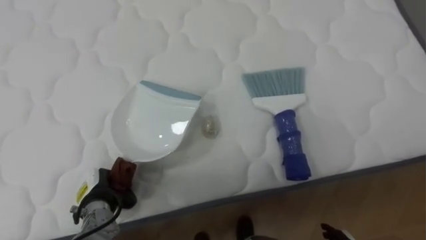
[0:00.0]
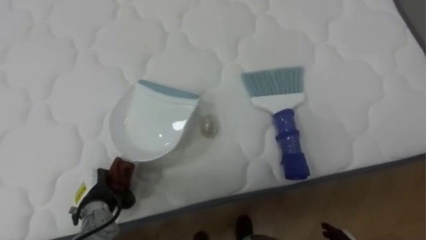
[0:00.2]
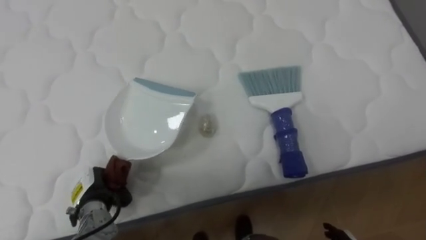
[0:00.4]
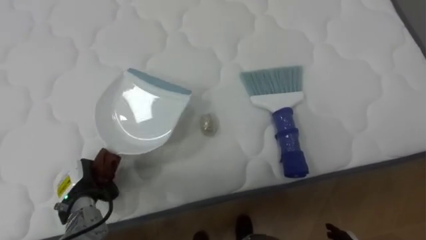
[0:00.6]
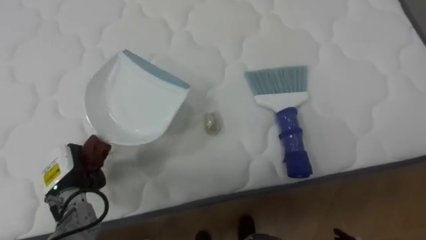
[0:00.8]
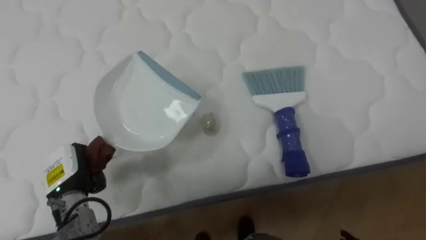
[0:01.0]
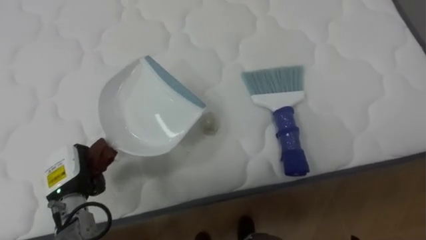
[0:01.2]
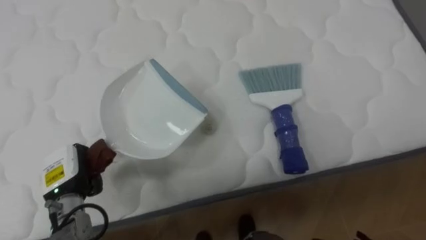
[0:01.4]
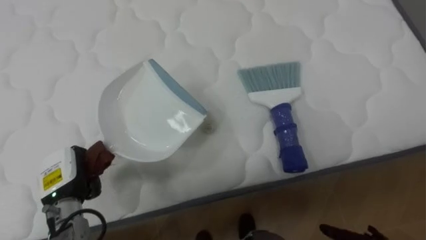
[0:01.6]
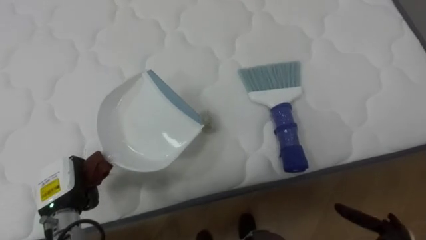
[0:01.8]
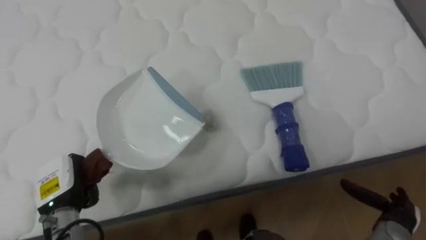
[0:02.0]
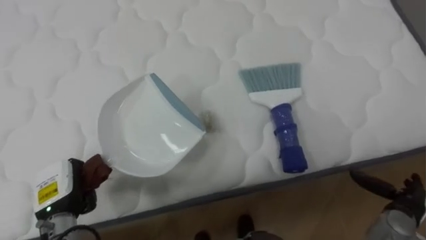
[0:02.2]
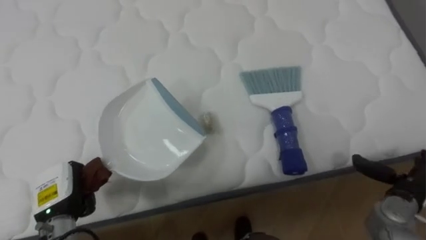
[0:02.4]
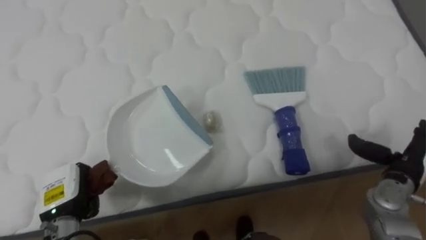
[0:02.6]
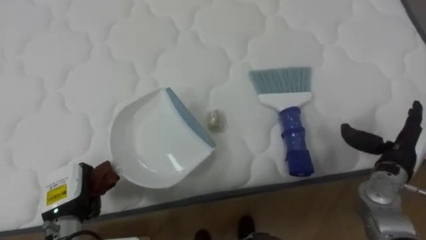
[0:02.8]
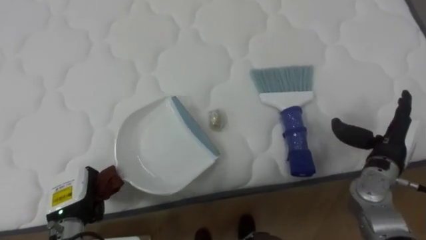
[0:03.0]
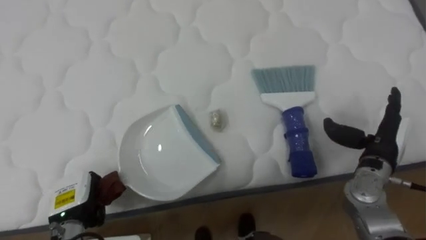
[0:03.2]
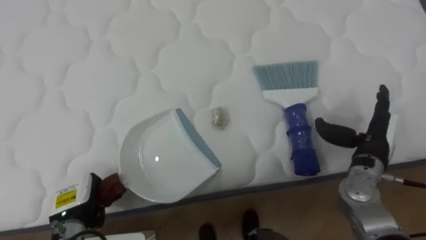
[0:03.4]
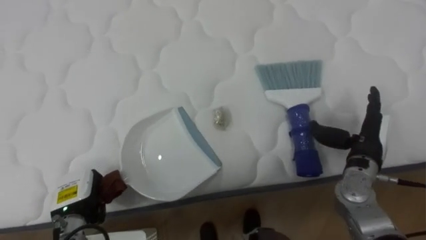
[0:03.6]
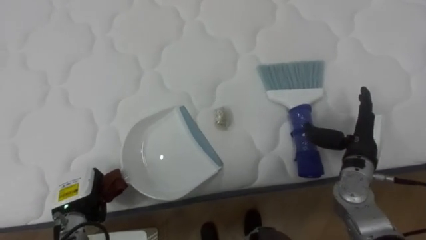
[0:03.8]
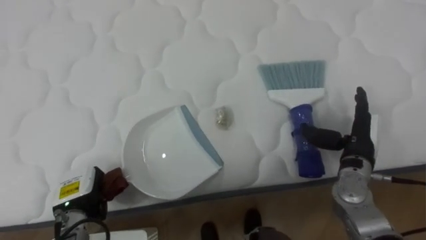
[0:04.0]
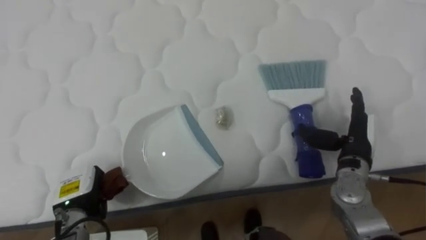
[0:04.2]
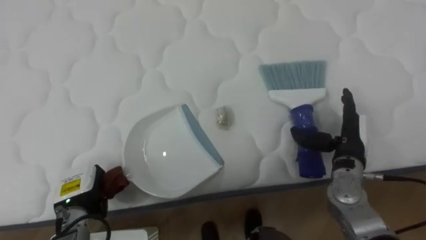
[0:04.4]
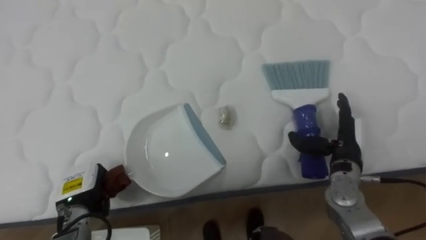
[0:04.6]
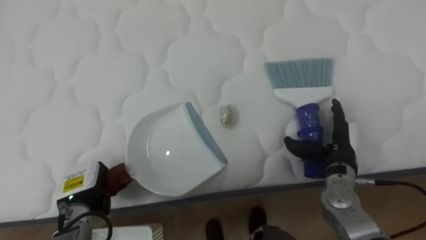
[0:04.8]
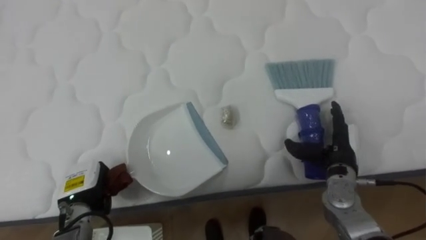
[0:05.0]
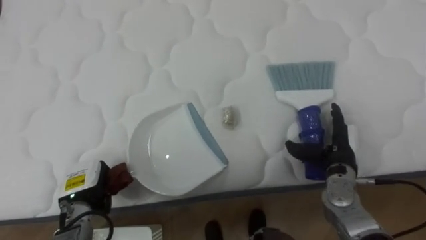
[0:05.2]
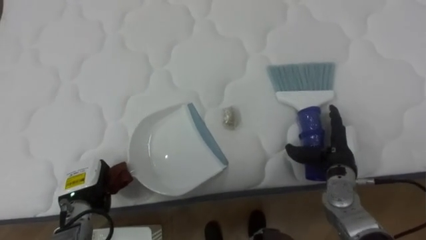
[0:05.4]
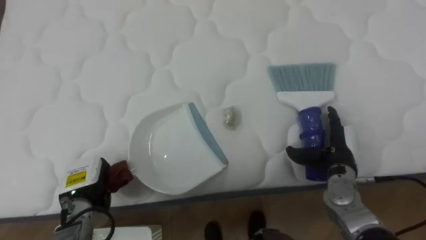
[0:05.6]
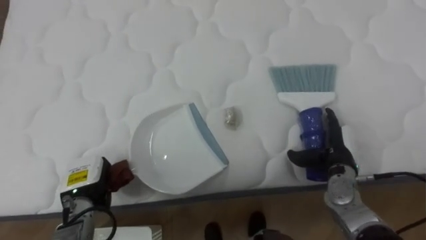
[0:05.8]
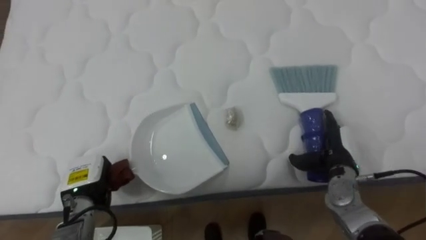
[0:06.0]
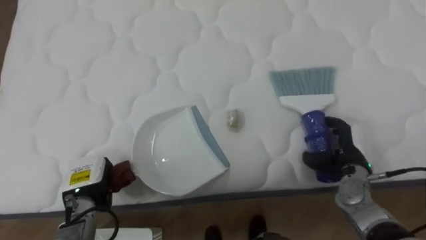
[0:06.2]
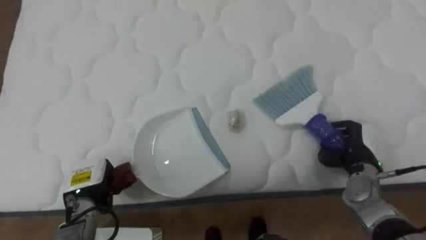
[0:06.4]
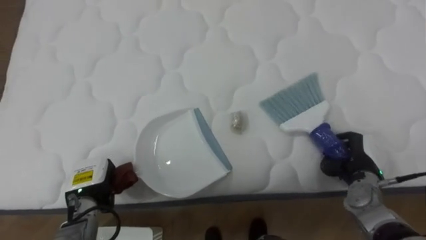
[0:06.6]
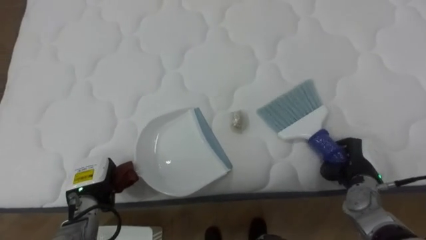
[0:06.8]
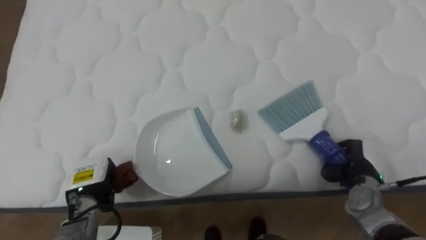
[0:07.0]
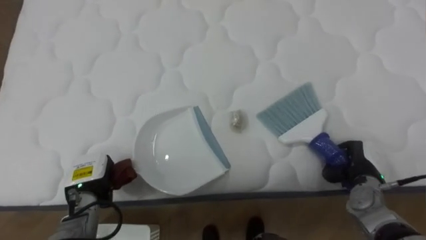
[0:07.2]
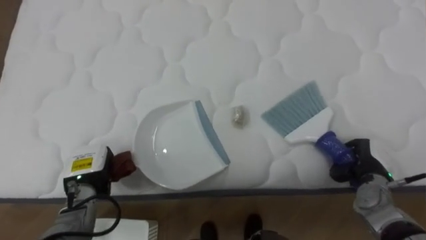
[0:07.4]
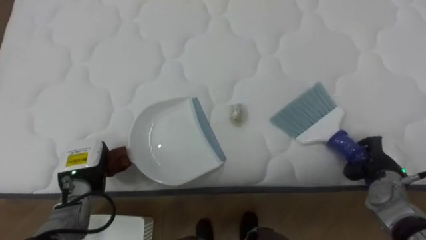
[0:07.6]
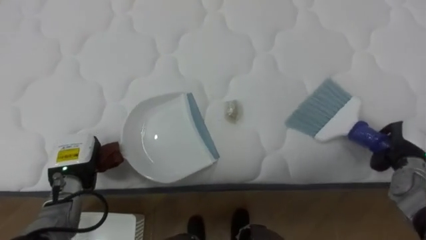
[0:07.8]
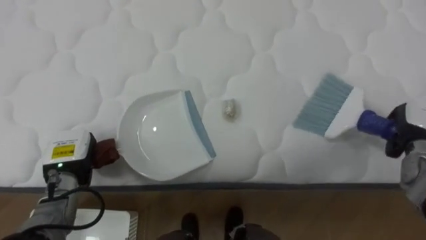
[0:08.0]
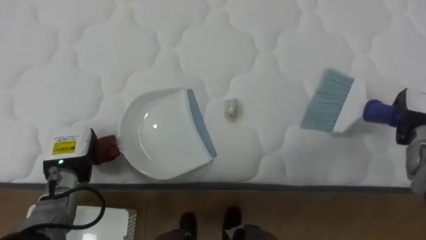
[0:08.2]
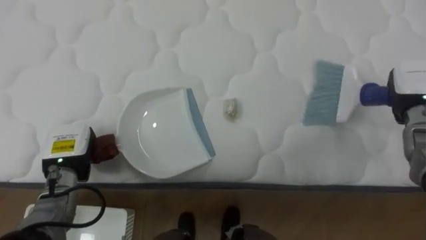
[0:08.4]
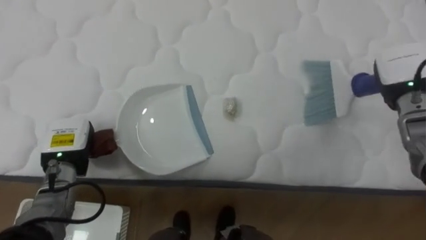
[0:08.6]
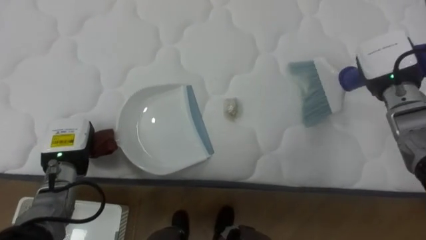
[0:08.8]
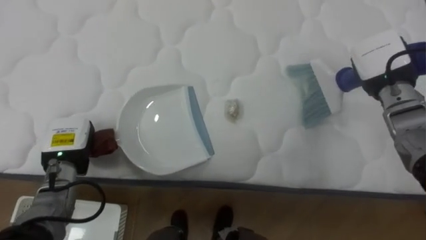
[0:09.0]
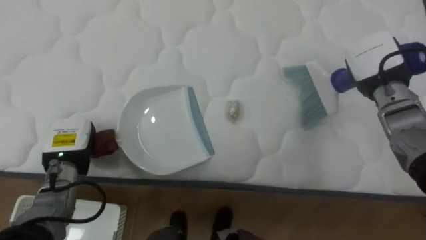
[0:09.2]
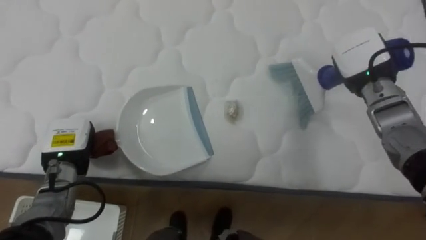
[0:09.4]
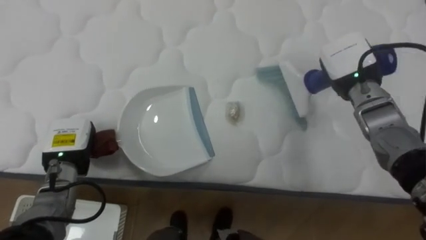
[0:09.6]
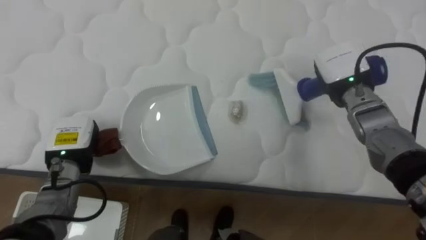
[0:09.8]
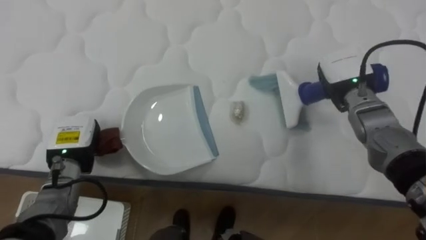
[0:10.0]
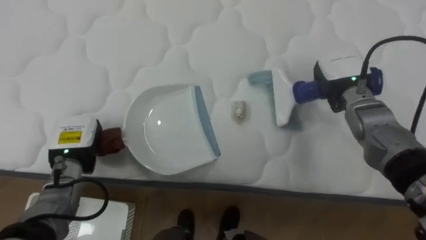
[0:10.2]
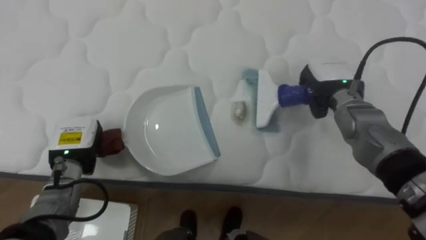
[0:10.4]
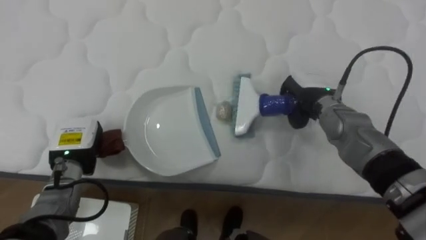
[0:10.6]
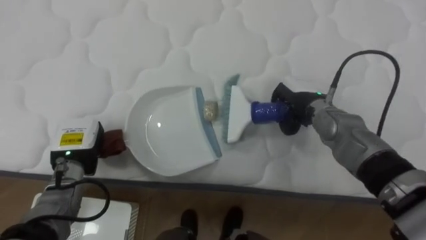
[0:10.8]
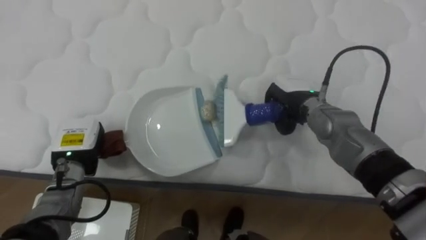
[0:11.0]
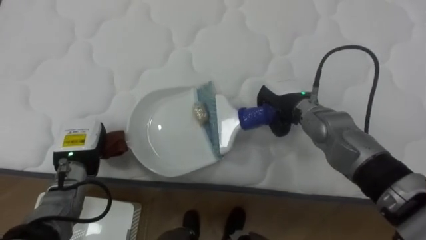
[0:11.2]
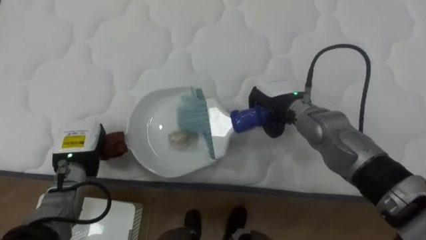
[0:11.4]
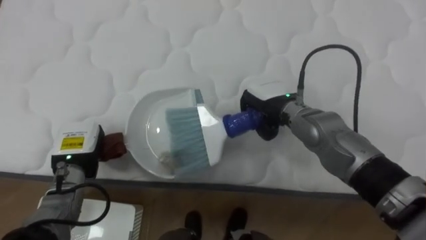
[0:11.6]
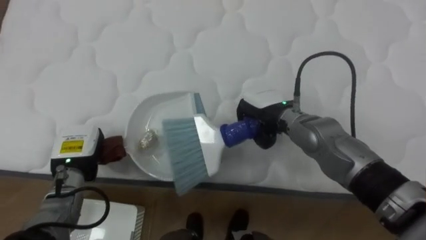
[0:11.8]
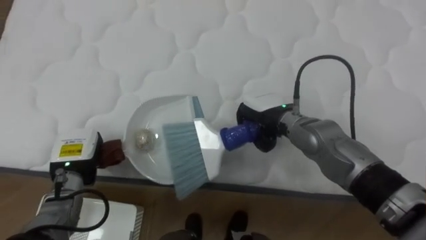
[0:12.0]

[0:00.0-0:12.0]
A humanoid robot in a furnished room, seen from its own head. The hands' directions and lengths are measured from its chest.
Task of the whole recording: Pick up the brush on your right and the dustpan on your left. Use the brush to sweep the crumpled paper on the bed into the dustpan, then turn left and empty it into the basket.
0:00.0 to 0:01.6: The left hand travels upward by about 5 cm.
0:03.0 to 0:04.4: The right hand travels to the left by some 5 cm.
0:04.4 to 0:06.0: The right hand goes about 5 cm downward.
0:06.0 to 0:07.6: The right hand is displaced to the right by about 10 cm, and closes.
0:07.6 to 0:09.0: The left hand moves approximately 5 cm. The right hand shifts about 20 cm upward and forward.
0:09.0 to 0:10.4: The right hand moves to the left, about 10 cm.
0:10.4 to 0:12.0: The right hand goes approximately 10 cm to the left.

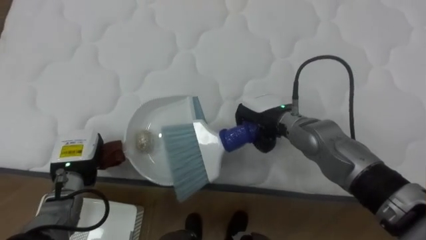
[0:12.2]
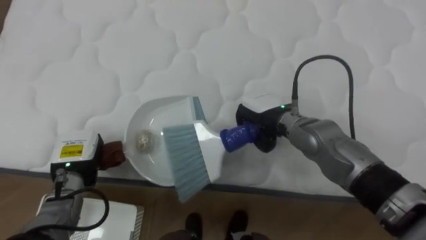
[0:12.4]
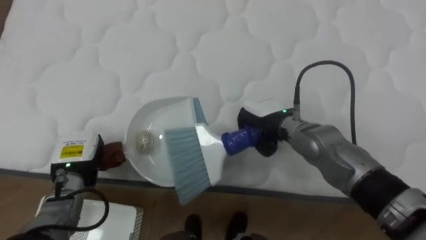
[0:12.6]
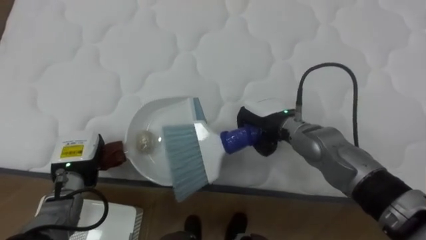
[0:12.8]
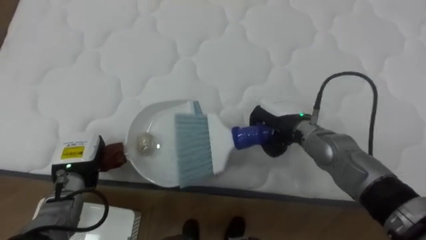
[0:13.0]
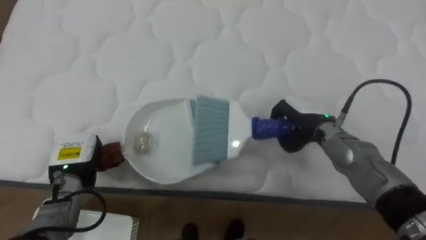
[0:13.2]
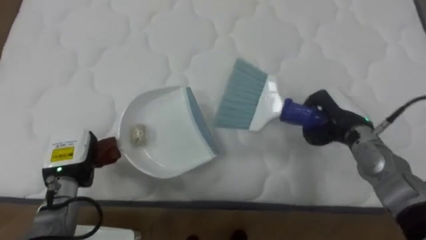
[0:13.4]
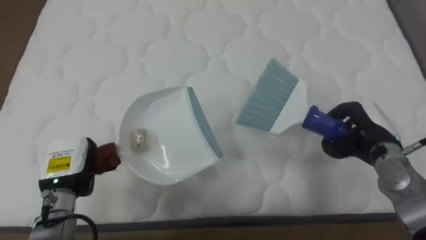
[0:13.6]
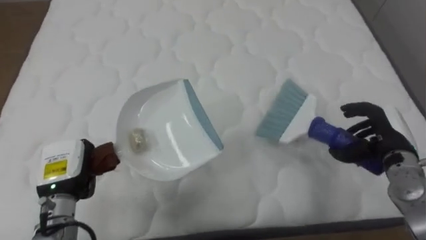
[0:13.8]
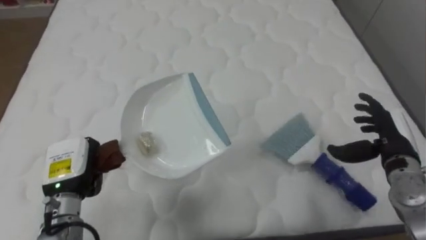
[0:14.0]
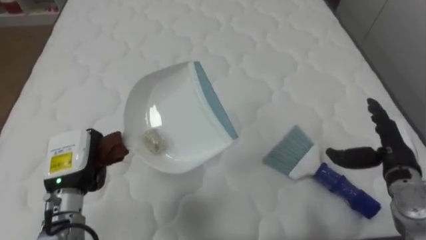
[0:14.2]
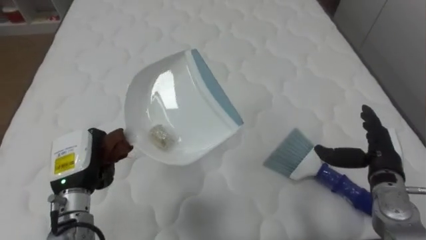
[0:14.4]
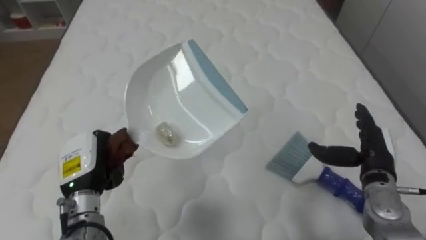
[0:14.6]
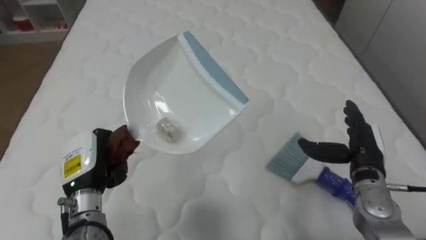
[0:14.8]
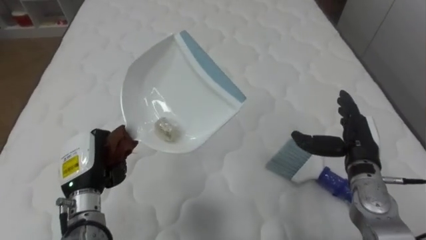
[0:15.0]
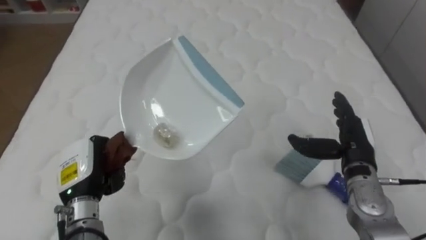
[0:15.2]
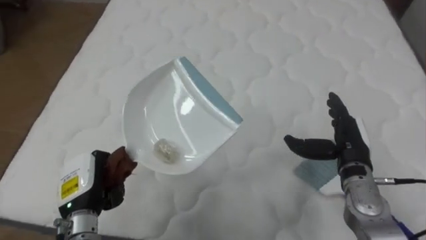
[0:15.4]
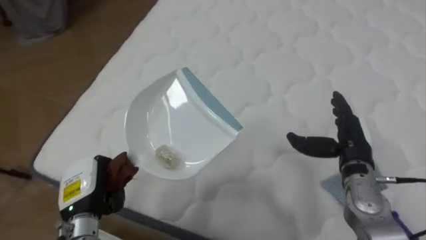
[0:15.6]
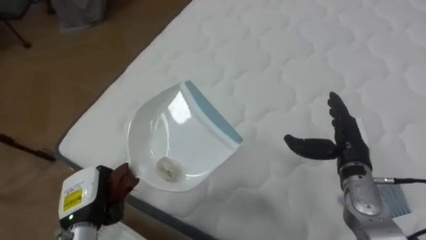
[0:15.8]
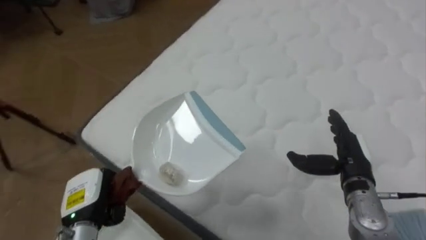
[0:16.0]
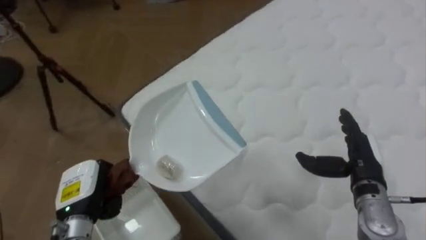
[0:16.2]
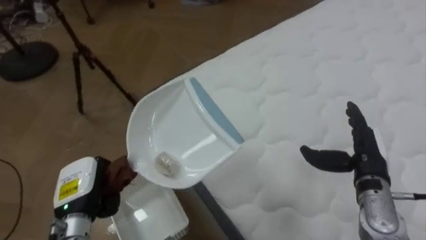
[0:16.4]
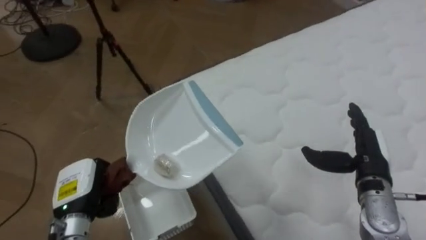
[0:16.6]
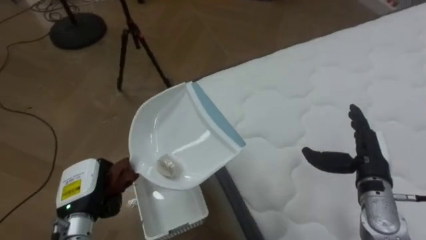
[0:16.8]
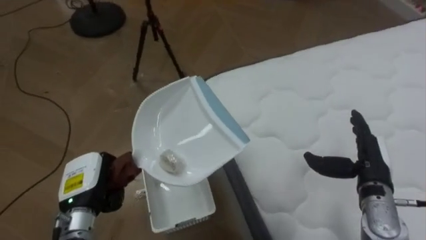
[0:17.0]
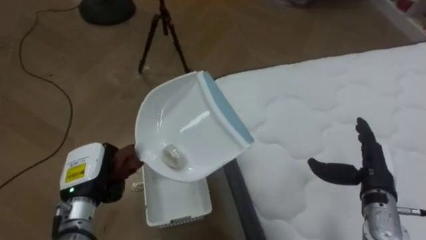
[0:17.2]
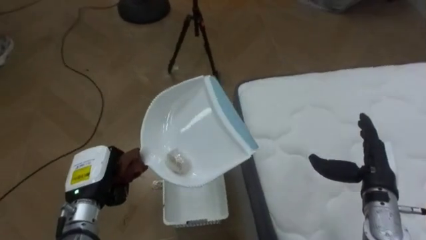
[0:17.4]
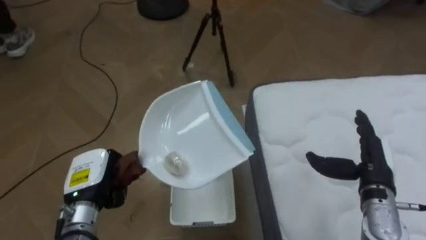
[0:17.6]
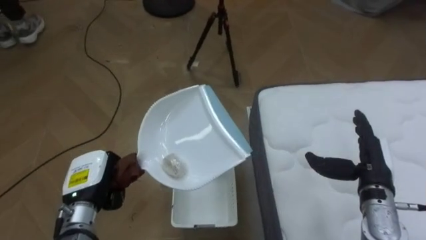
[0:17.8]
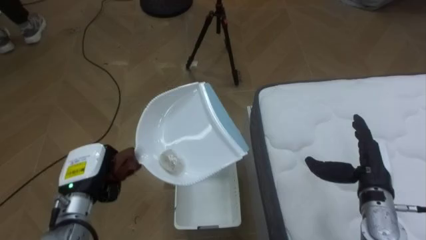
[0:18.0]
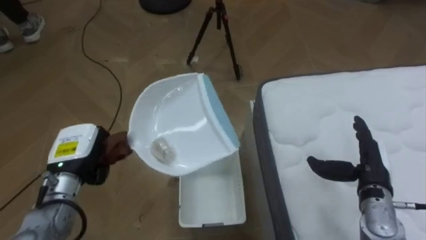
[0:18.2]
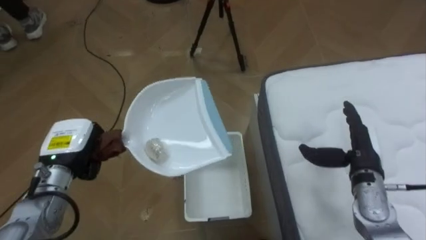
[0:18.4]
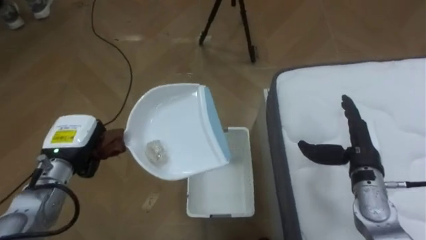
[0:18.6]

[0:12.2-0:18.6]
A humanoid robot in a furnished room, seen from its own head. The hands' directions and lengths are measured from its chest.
Task of the whole recording: Pick up the brush on your right and the dustpan on your left. Use the brush to sweep the crumpled paper on the bed into the dustpan, then turn left and empty it into the basket.
0:12.2 to 0:13.8: The right hand moves to the right, about 25 cm, and opens up.
0:13.8 to 0:15.4: The right hand goes approximately 5 cm to the left.
0:15.4 to 0:17.0: The robot turns to its left by approximately 65 degrees. The right hand changes place by some 5 cm.
0:17.0 to 0:18.6: The robot's body swings about 25 degrees to its left. The left hand moves forward, approximately 5 cm.
